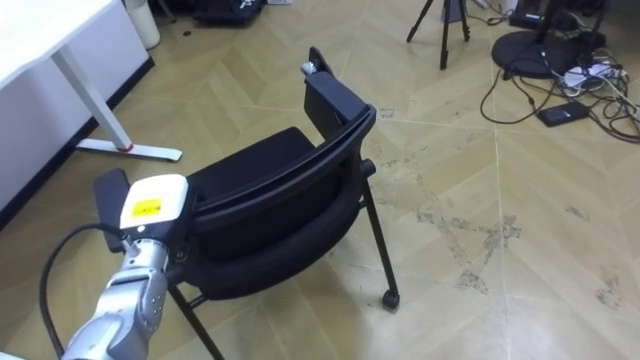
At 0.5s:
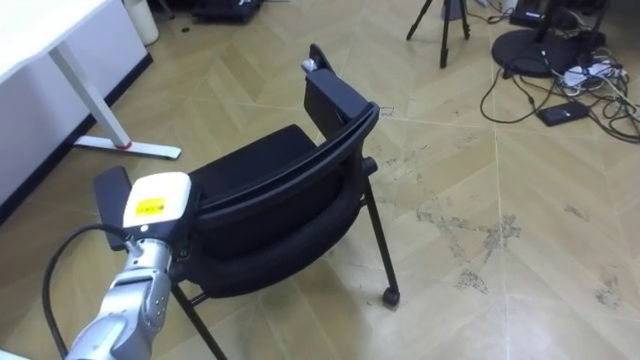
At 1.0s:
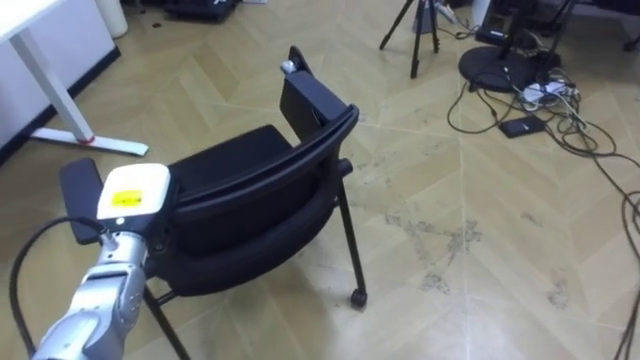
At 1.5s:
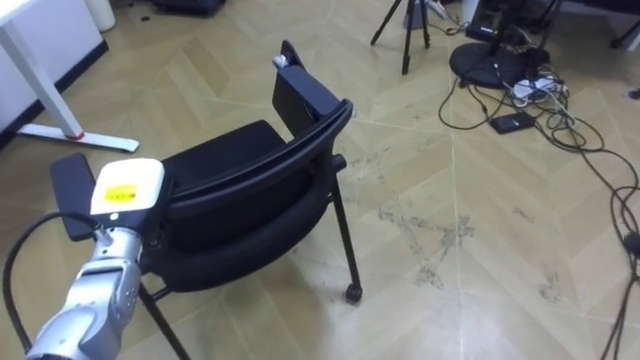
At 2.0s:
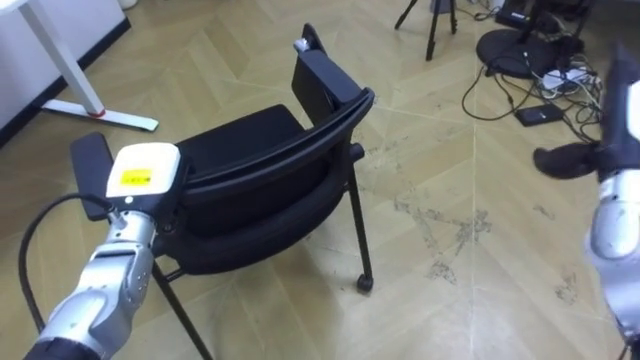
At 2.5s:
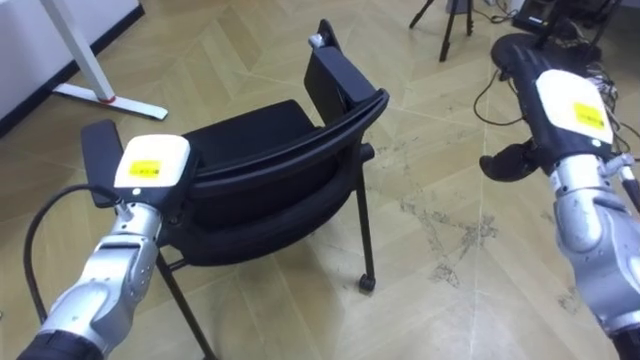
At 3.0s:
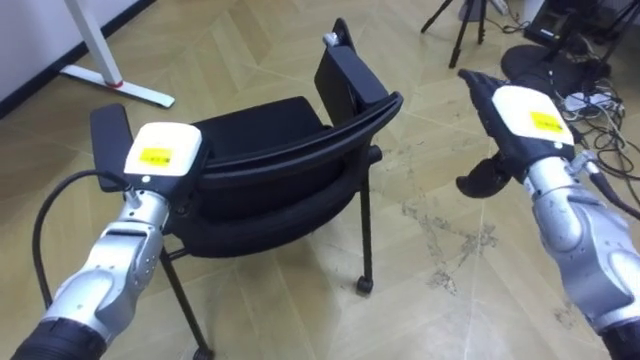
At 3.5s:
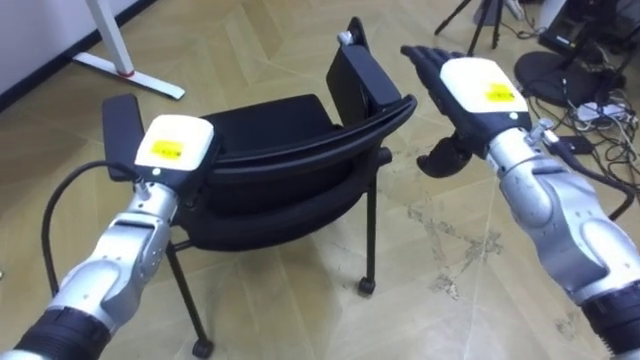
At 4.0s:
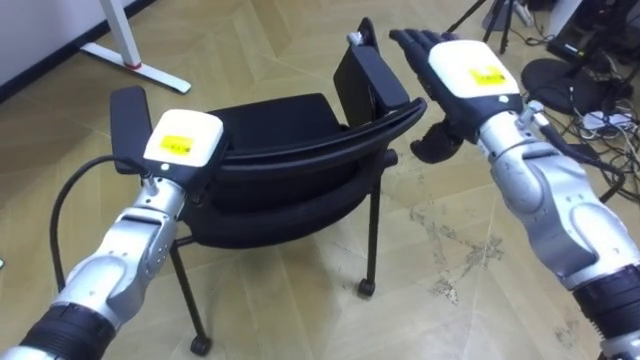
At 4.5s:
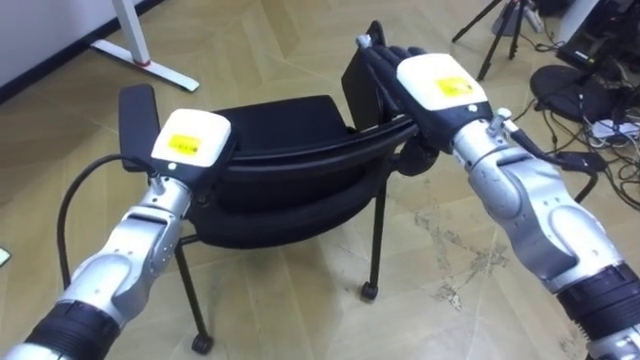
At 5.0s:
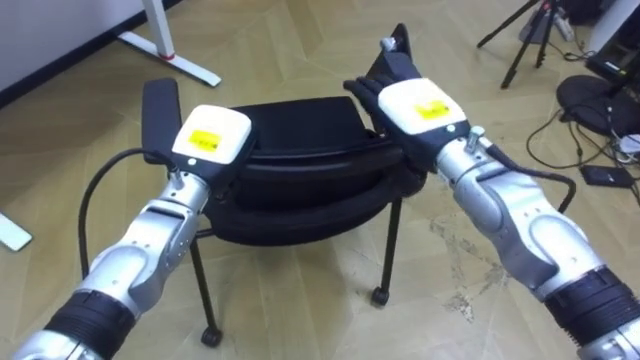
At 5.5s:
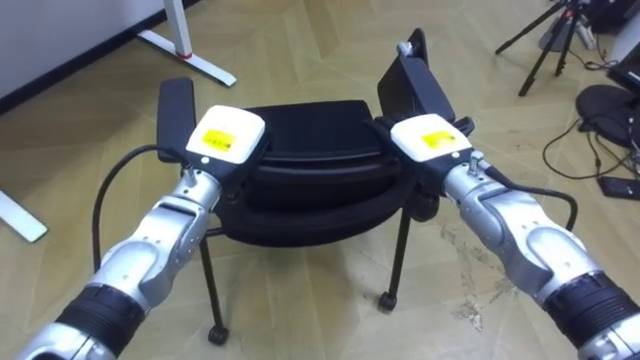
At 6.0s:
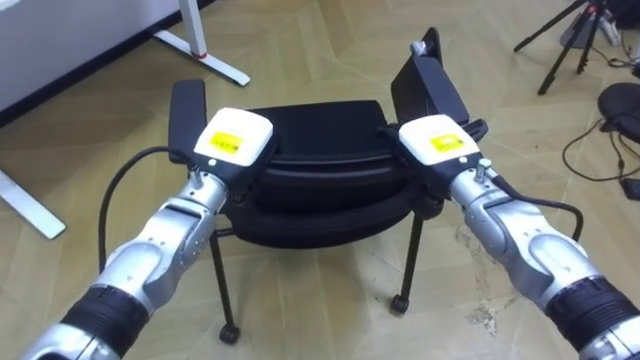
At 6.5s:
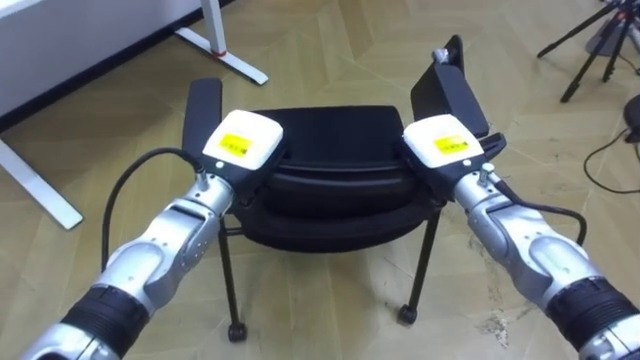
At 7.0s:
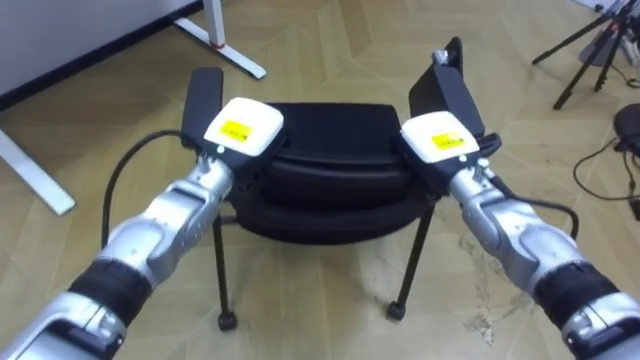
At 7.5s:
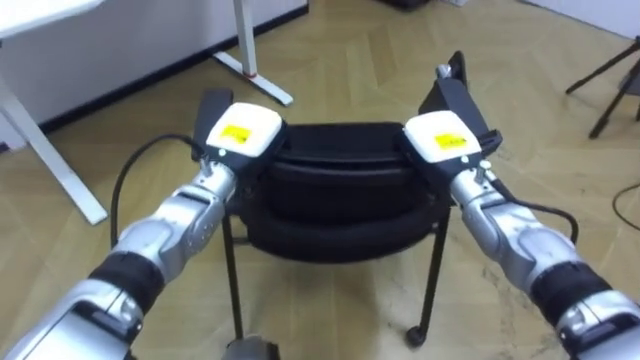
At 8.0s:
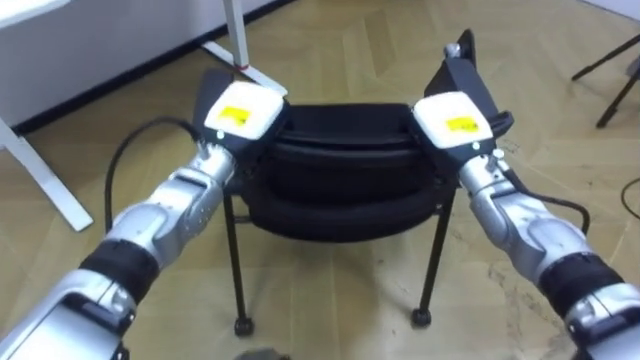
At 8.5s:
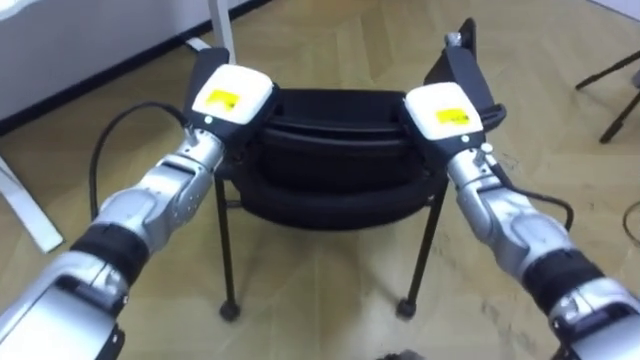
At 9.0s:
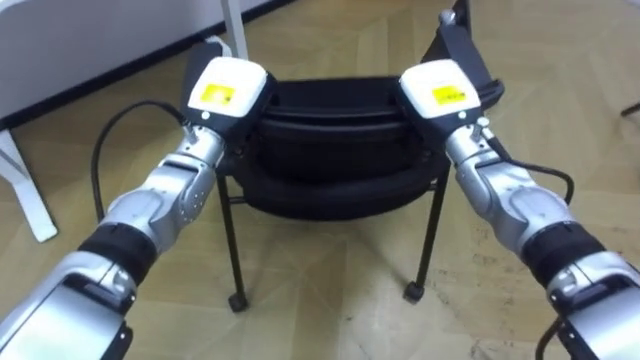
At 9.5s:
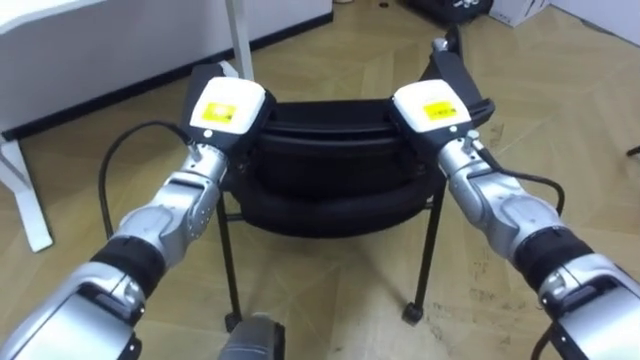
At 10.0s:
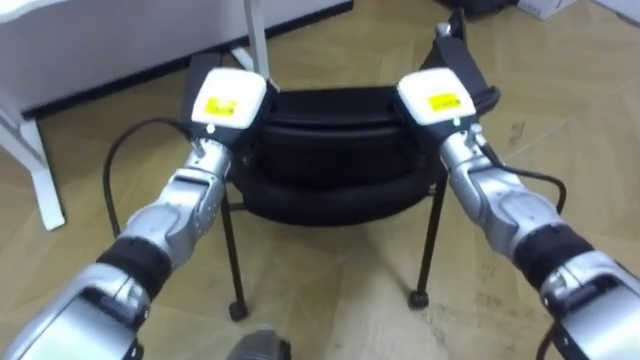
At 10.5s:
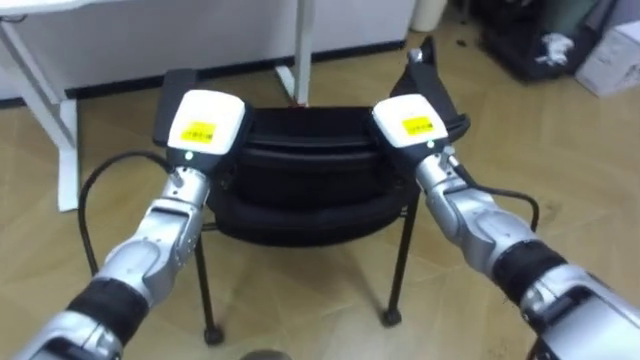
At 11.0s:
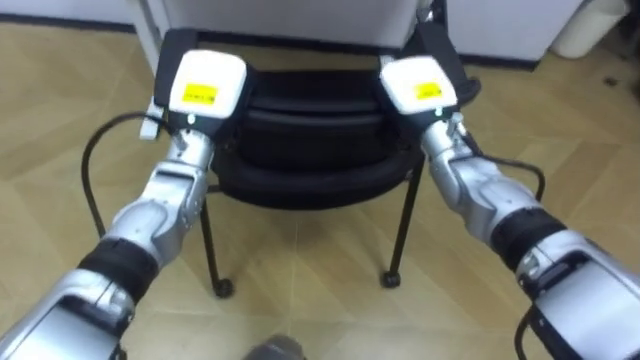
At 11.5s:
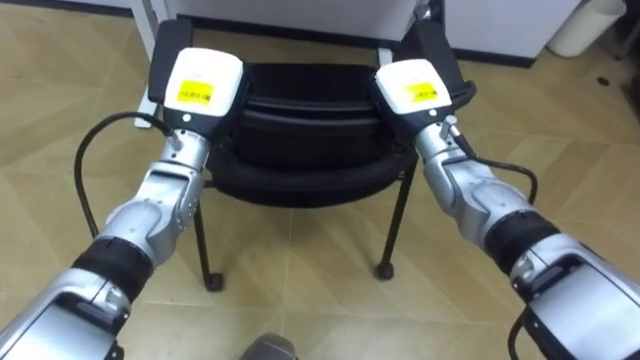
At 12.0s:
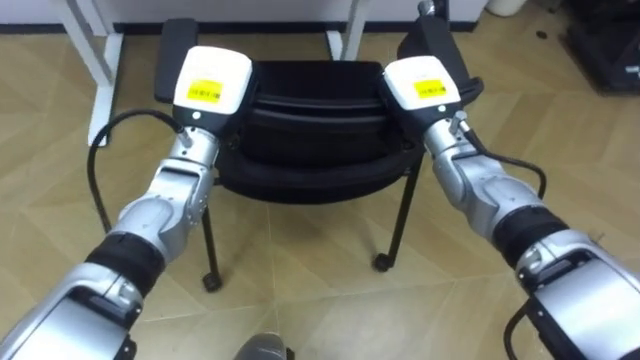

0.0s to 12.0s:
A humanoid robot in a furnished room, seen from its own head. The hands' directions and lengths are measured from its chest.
Task of the whole recording: Push the chair under the table.
2.0s to 4.0s: The right hand moves to the left, about 20 cm. The left hand goes some 5 cm to the right.
4.0s to 6.0s: The left hand goes approximately 5 cm to the right; the right hand travels downward by about 10 cm.
6.0s to 8.0s: The right hand closes.
10.0s to 12.0s: The robot rotates some 15 degrees to its left.

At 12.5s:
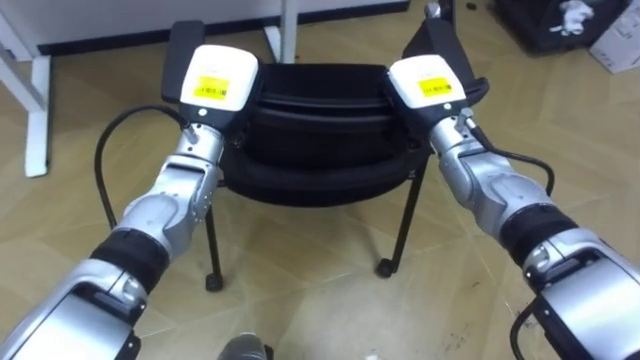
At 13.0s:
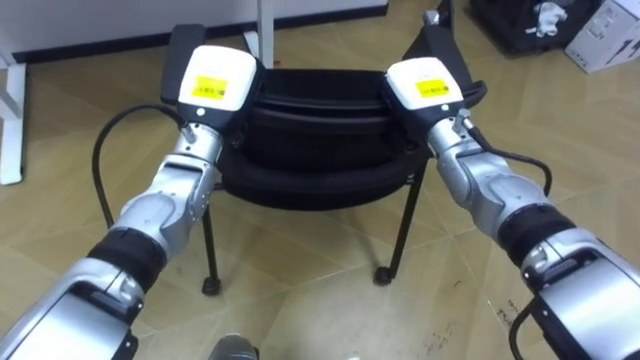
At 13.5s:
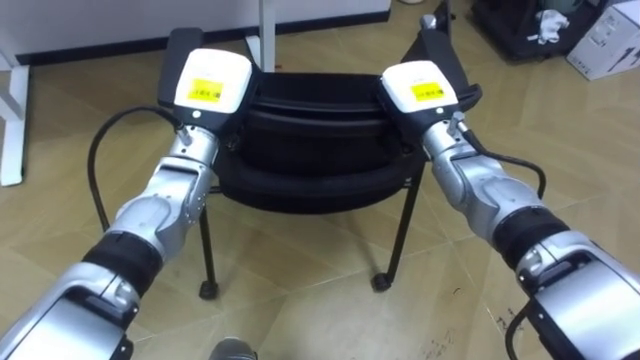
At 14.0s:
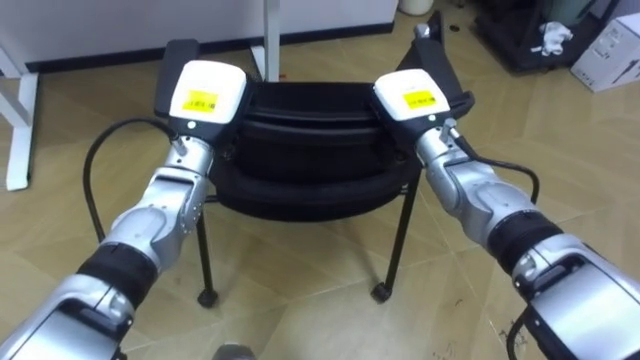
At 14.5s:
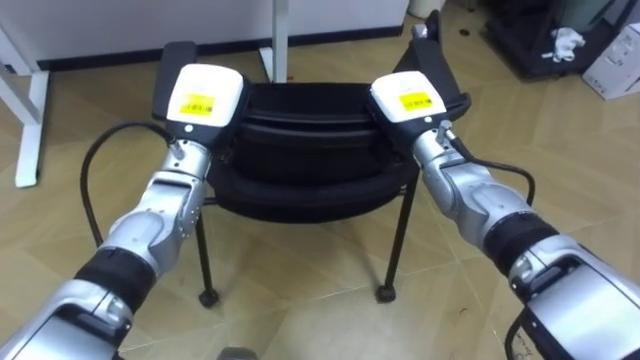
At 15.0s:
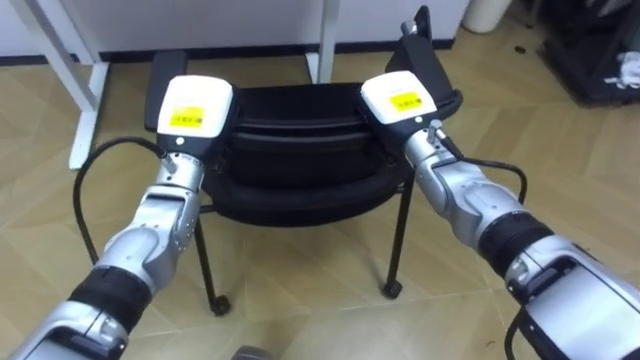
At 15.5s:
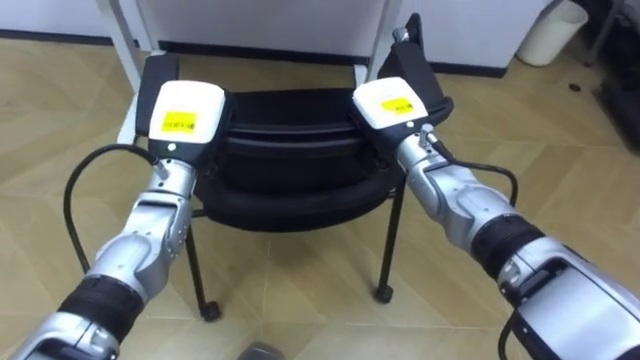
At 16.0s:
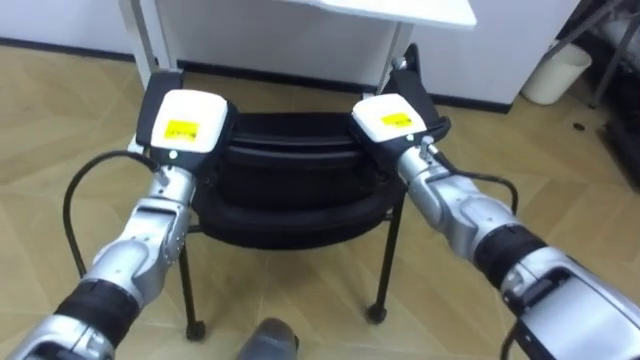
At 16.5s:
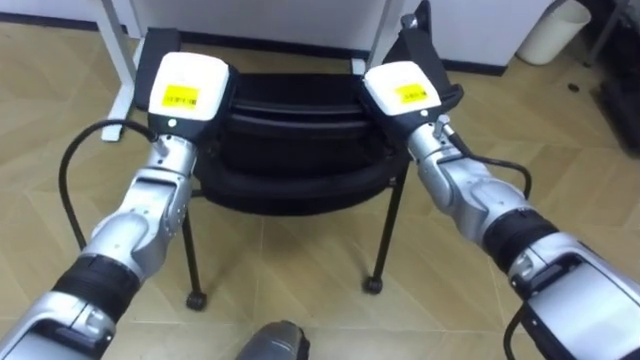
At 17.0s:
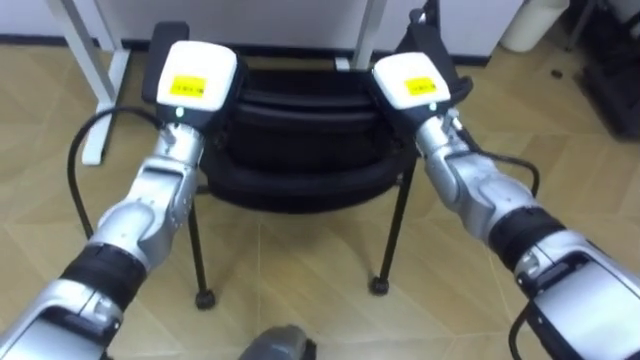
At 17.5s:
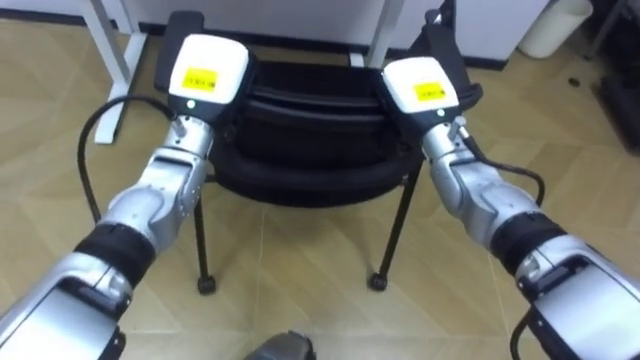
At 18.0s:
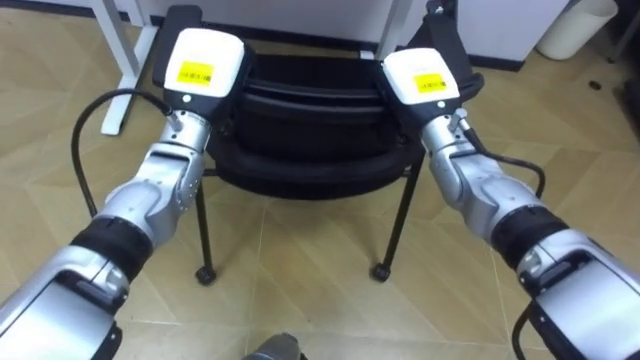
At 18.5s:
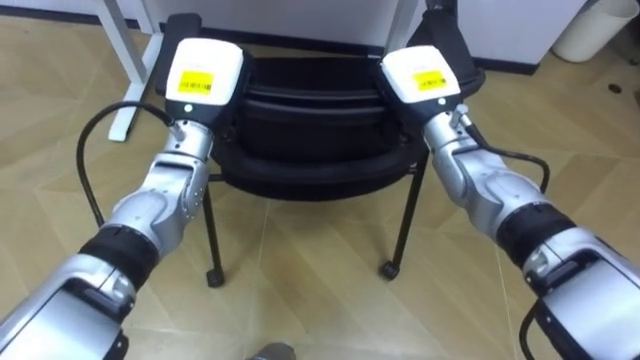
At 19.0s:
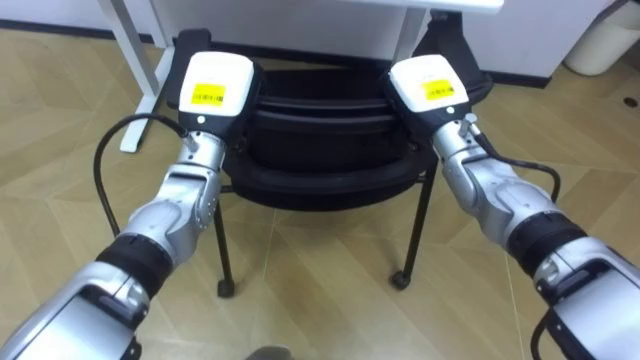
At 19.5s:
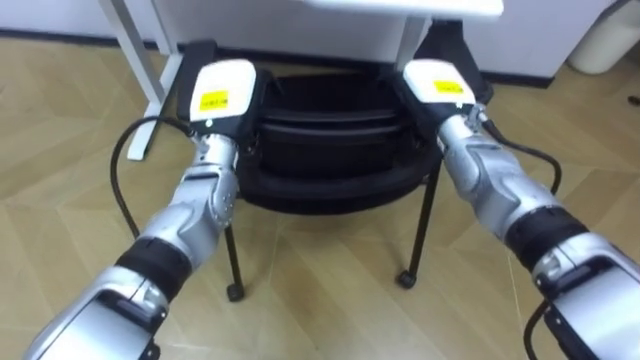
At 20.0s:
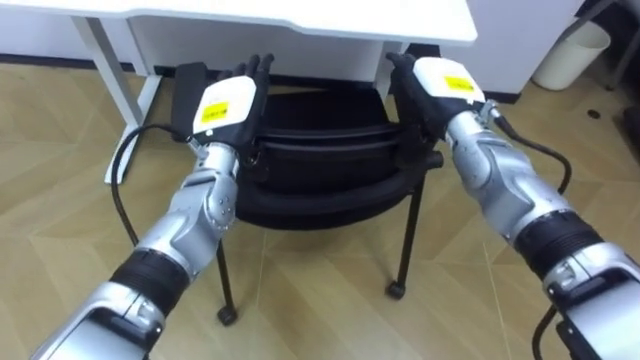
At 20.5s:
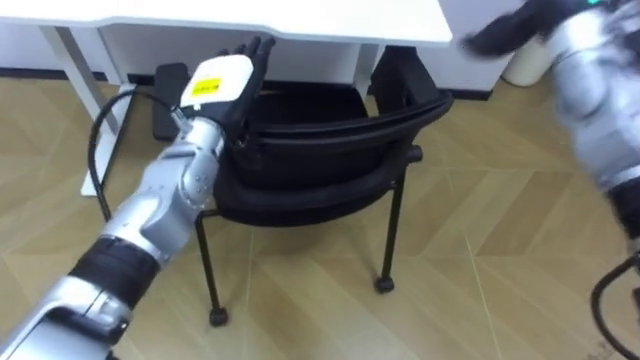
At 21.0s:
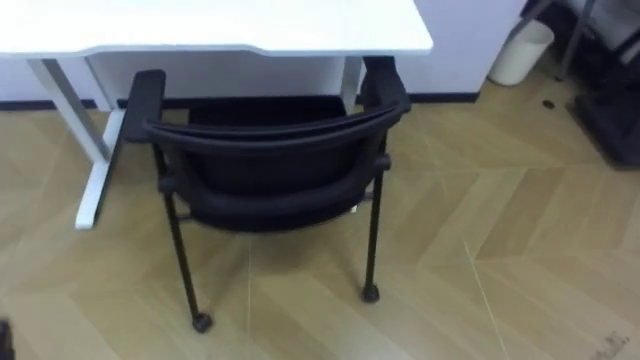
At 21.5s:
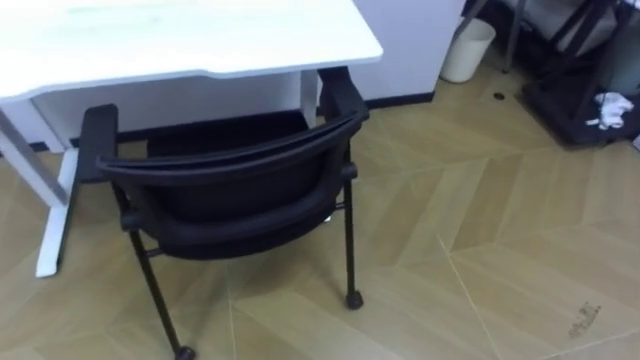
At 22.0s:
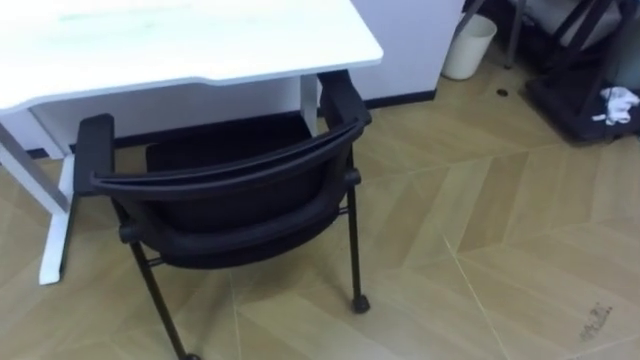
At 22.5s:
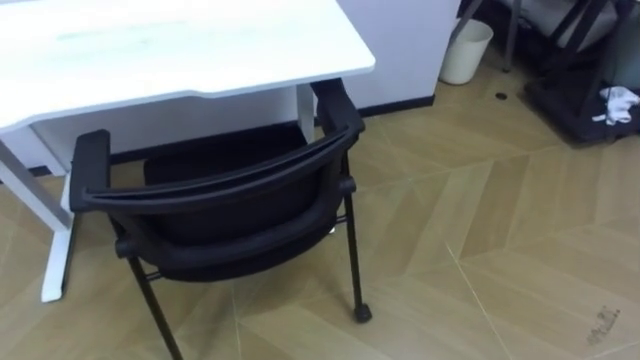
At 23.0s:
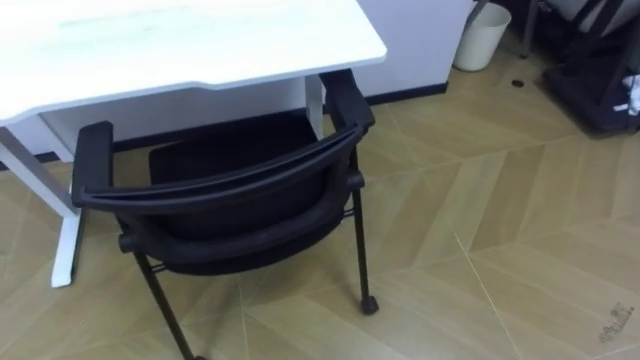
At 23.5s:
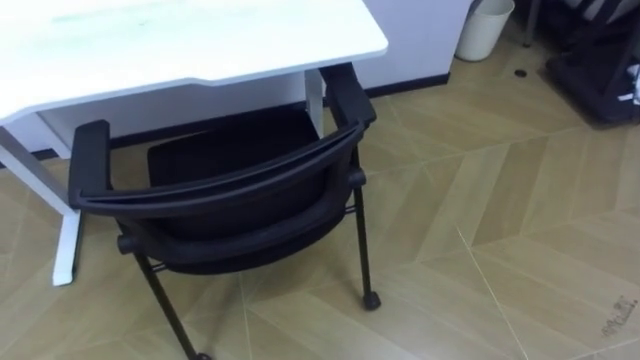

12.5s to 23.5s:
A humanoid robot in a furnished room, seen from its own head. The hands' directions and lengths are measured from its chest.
Task of the whole recording: Push the chair under the table.
16.0s to 18.0s: Both hands travel together upward, some 5 cm.
18.0s to 20.0s: The right hand opens its fingers; the left hand travels downward by some 5 cm, and opens.
